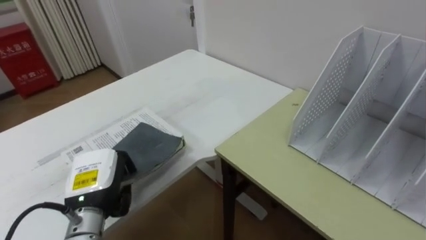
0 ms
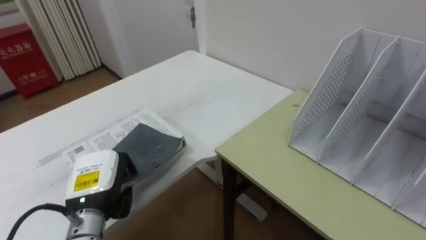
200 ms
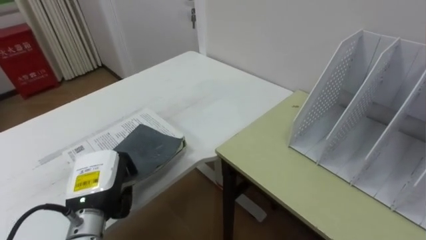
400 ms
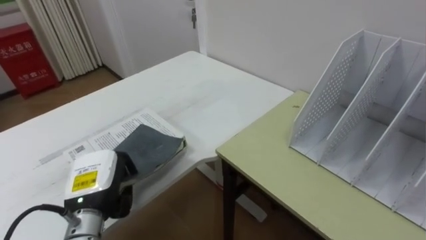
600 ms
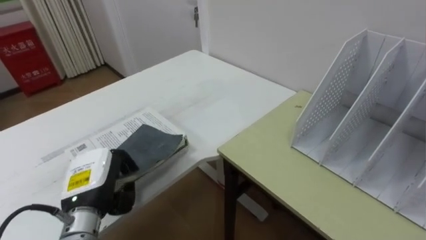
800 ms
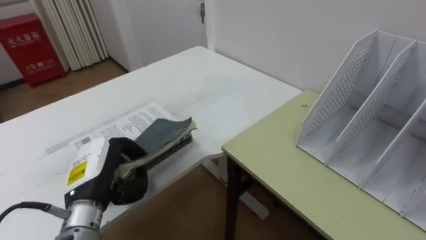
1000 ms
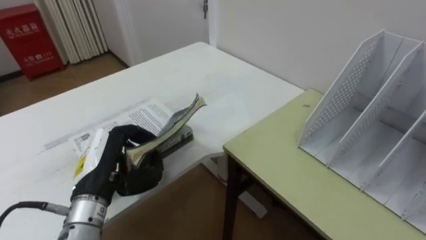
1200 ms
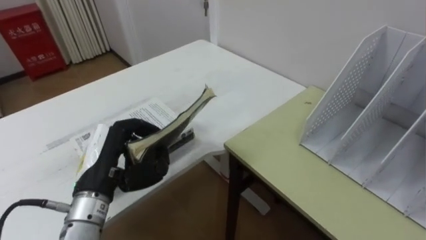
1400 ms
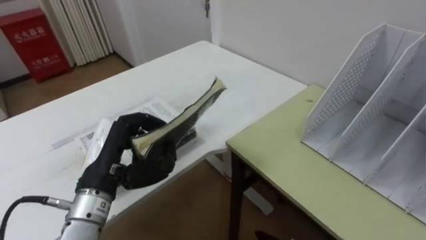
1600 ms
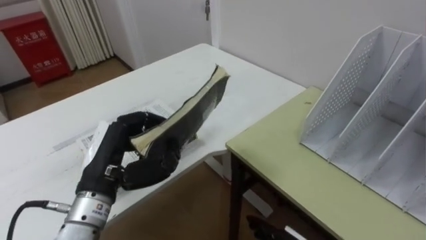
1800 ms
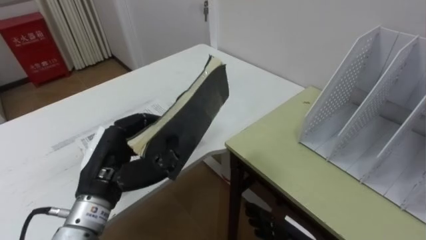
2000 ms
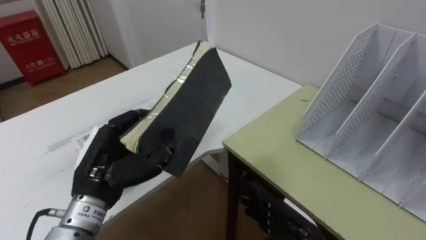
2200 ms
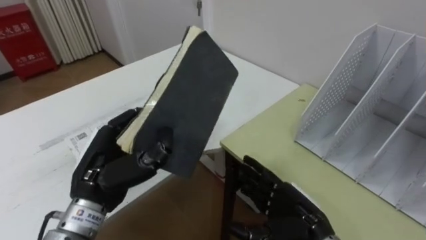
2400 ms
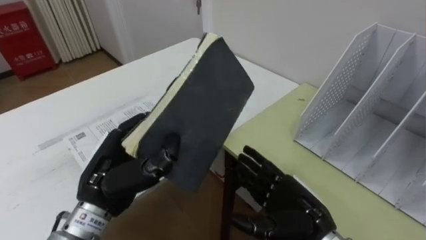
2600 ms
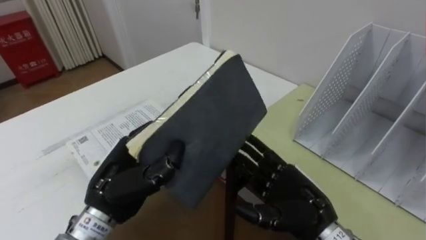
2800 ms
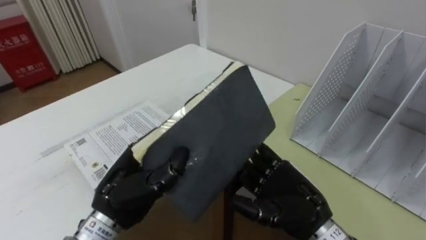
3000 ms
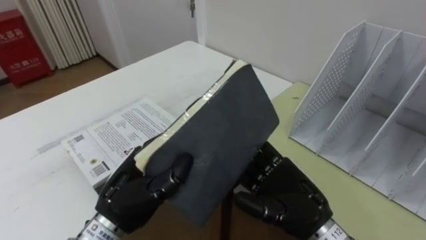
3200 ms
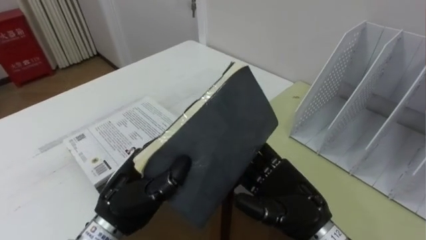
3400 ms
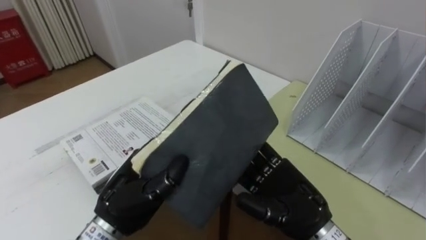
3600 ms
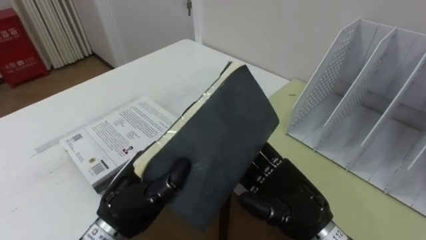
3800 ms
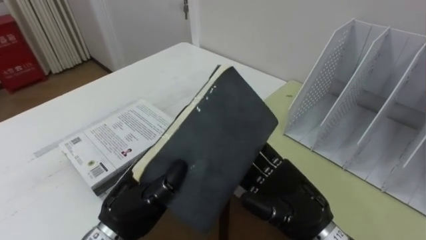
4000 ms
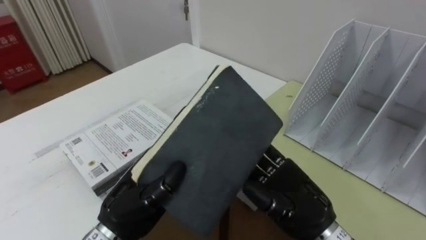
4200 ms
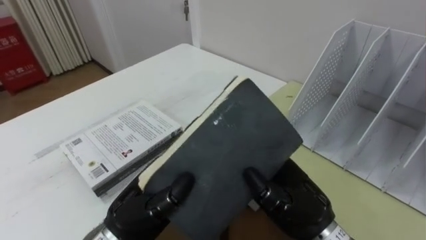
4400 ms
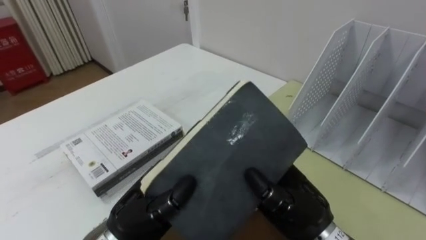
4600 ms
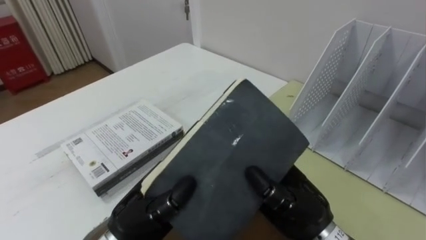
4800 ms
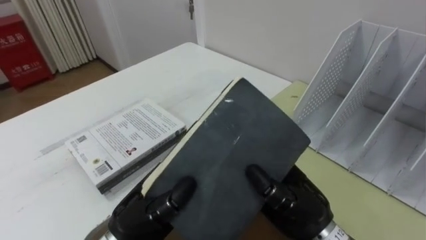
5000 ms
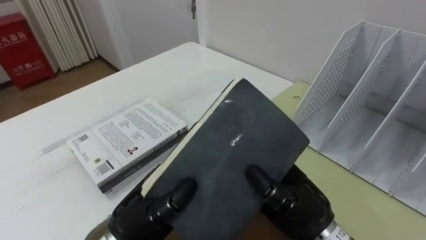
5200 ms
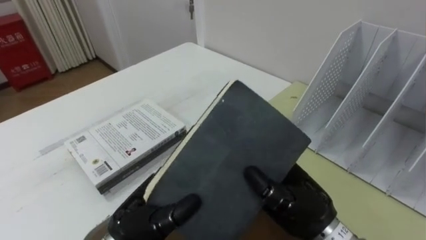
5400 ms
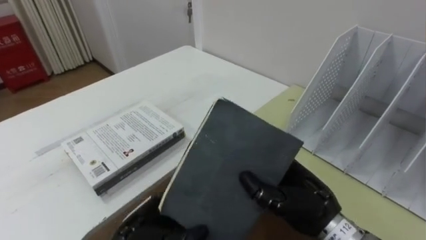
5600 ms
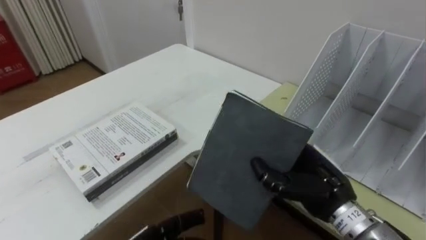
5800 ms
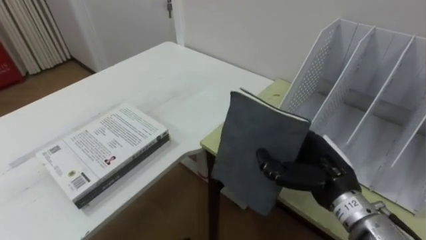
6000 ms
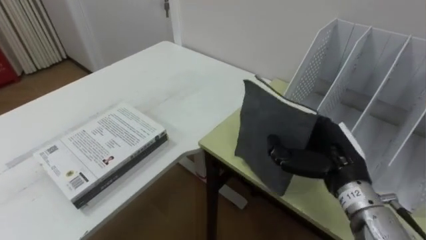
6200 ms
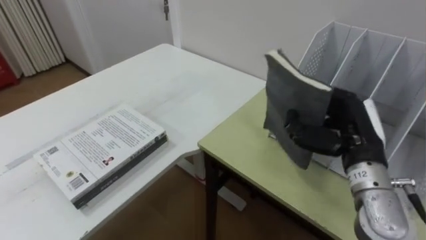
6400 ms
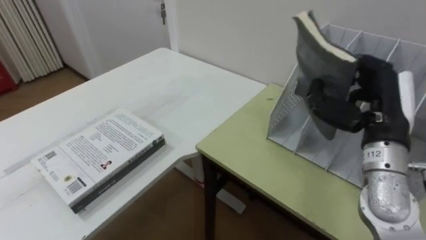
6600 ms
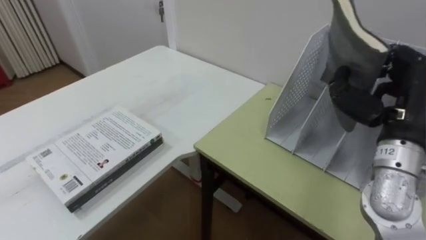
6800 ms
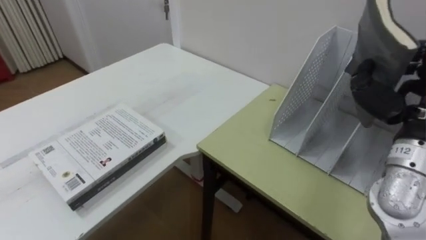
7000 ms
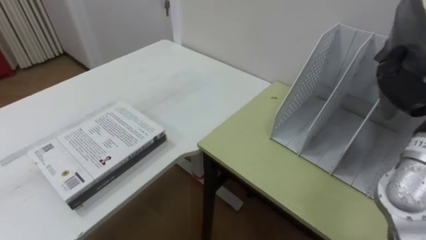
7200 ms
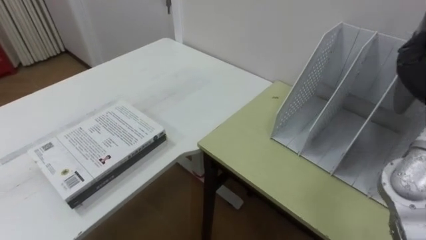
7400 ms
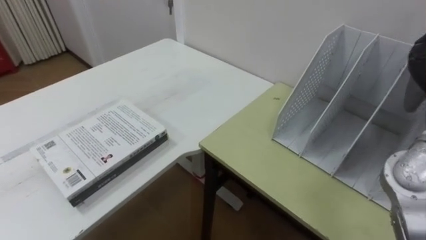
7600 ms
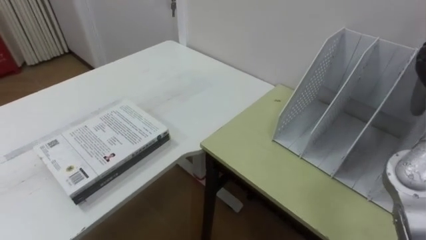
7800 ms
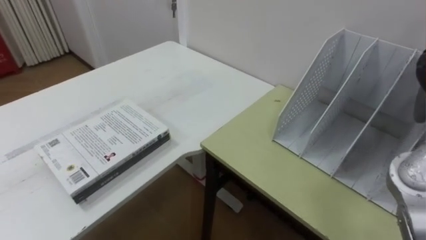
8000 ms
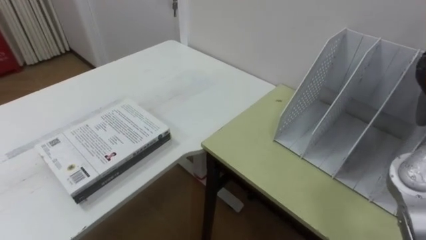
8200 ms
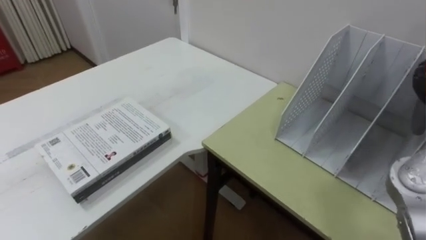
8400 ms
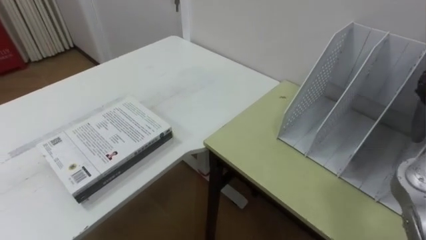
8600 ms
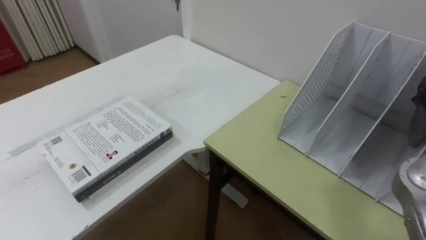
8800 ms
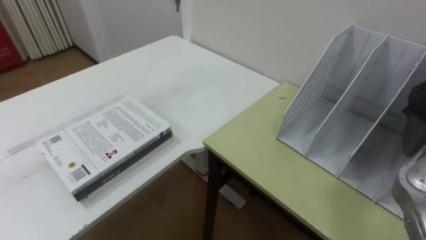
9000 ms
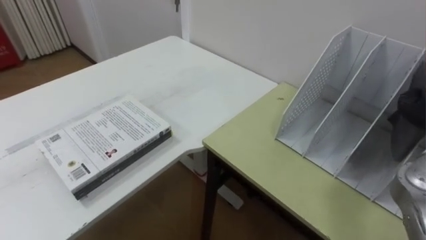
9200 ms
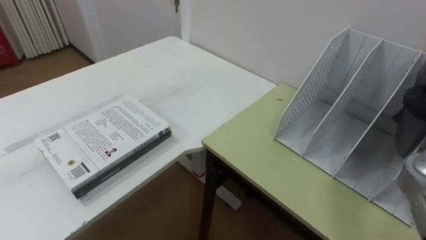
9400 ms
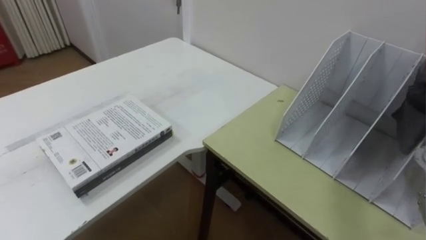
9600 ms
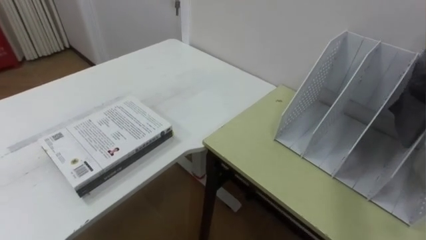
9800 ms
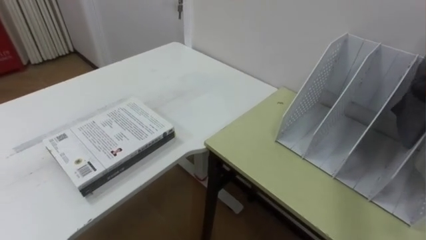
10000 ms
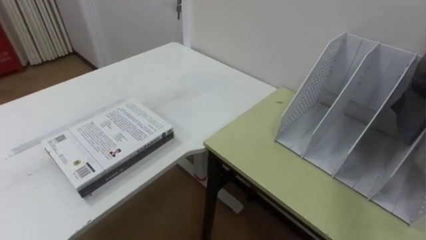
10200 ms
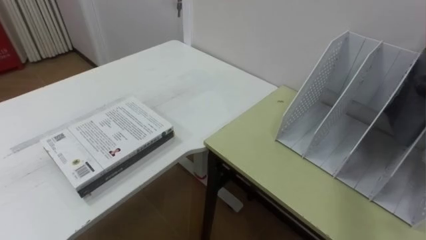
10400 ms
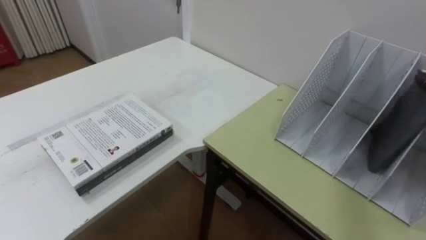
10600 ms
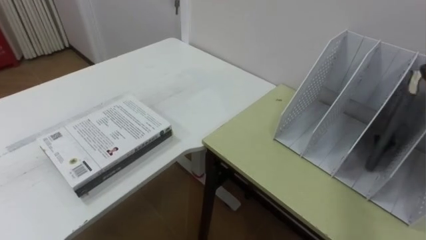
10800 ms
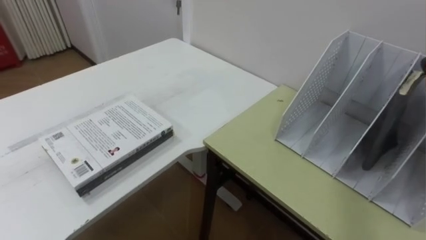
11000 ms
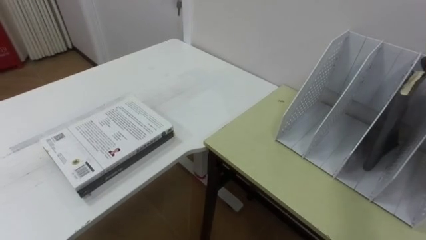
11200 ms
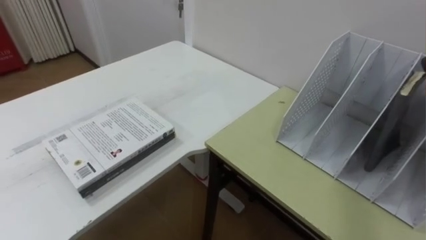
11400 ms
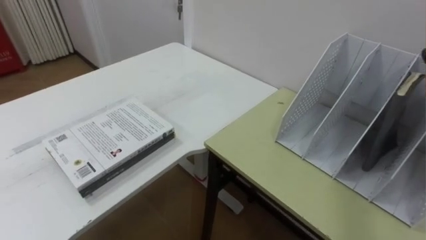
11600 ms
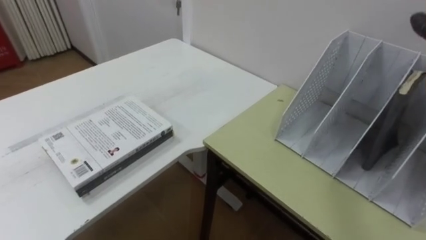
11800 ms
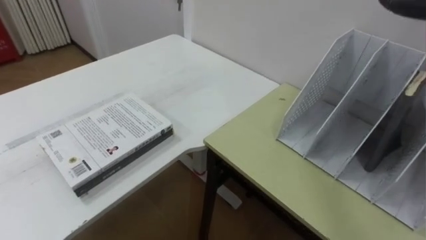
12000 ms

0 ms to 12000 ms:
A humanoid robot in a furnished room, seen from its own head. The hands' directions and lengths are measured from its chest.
Task of the whole recording: Put the books on the table onto the bookshelf.
0 ms to 1600 ms: The left hand travels upward by about 5 cm.
3000 ms to 4400 ms: The right hand closes its fingers.
4400 ms to 6000 ms: The right hand goes roughly 5 cm to the right.

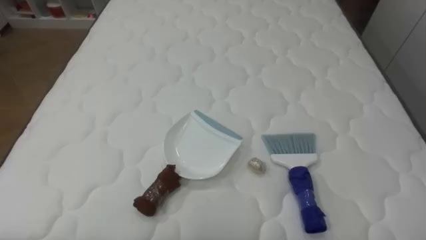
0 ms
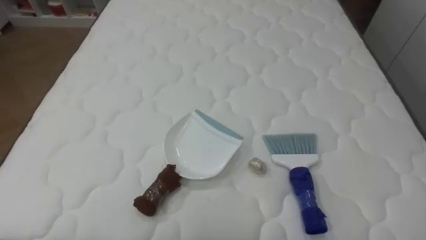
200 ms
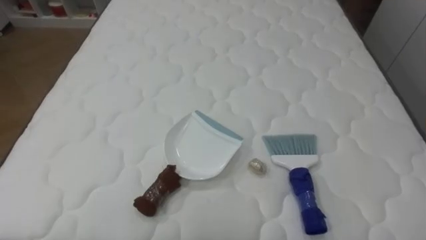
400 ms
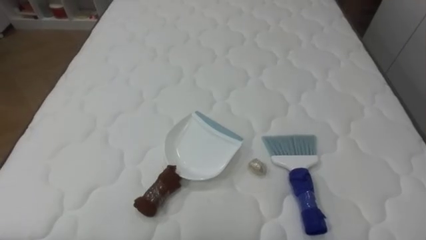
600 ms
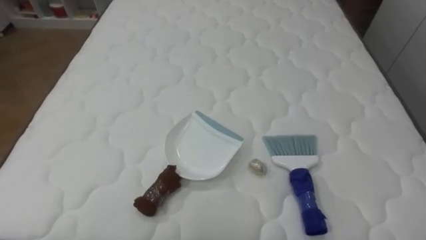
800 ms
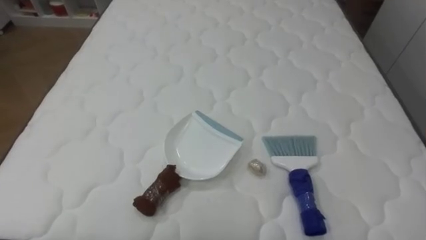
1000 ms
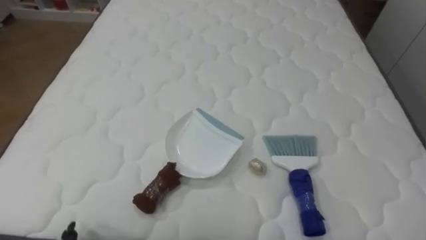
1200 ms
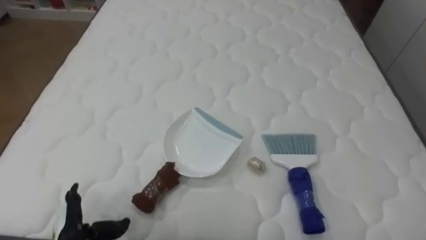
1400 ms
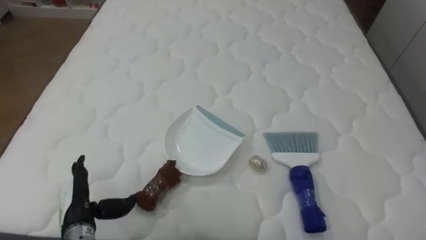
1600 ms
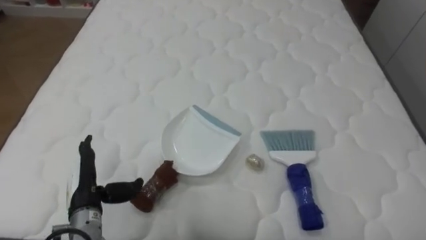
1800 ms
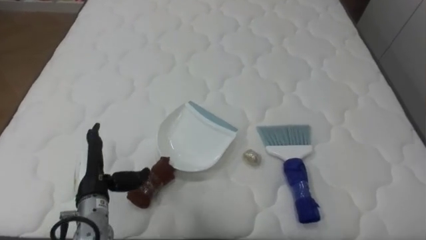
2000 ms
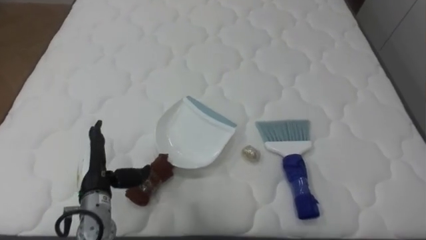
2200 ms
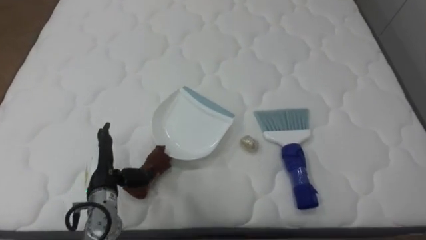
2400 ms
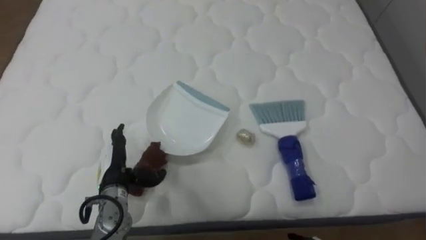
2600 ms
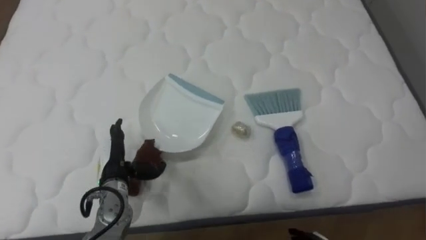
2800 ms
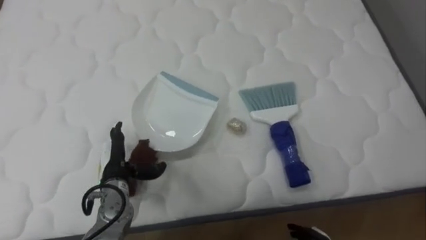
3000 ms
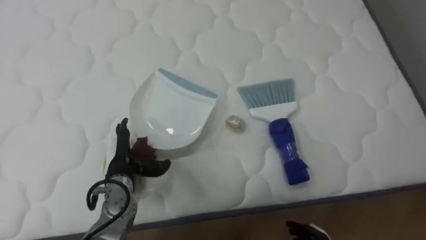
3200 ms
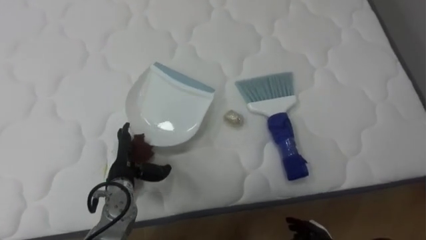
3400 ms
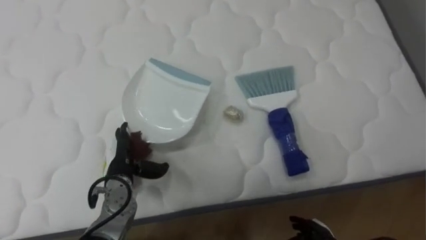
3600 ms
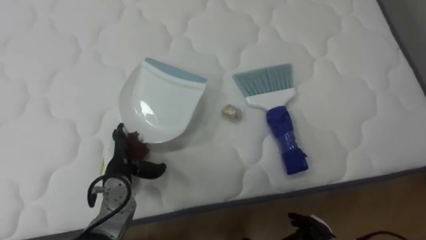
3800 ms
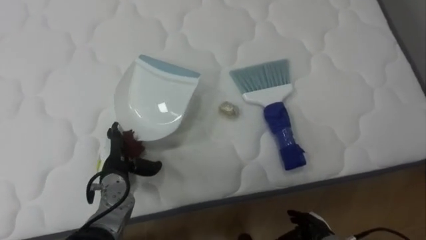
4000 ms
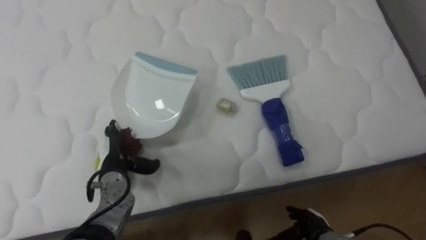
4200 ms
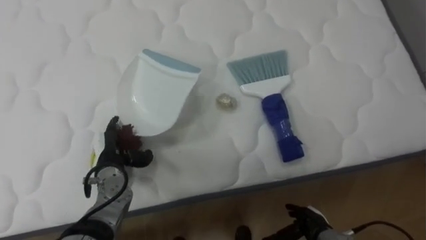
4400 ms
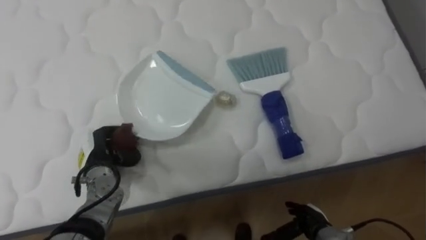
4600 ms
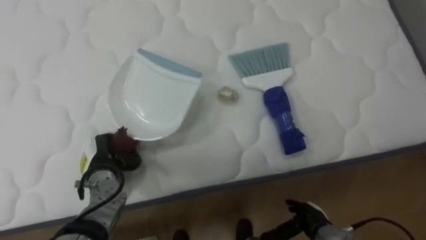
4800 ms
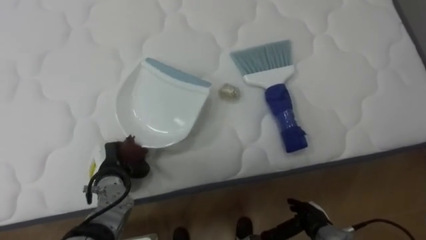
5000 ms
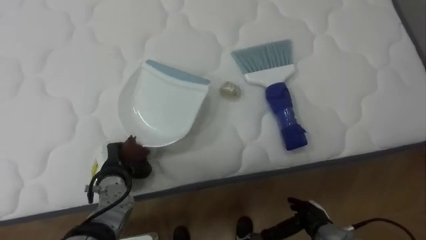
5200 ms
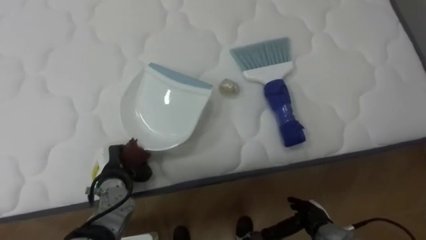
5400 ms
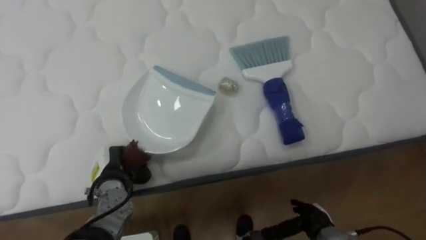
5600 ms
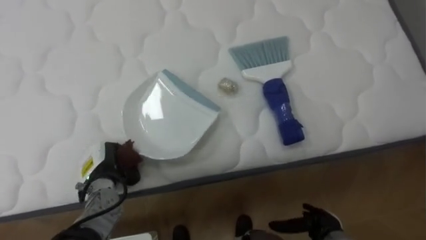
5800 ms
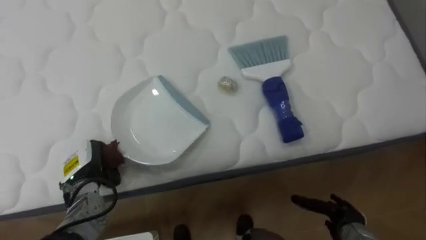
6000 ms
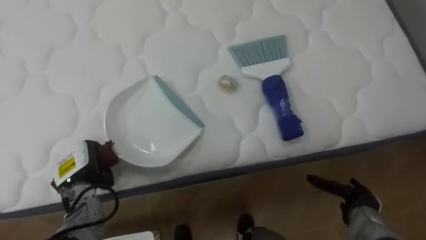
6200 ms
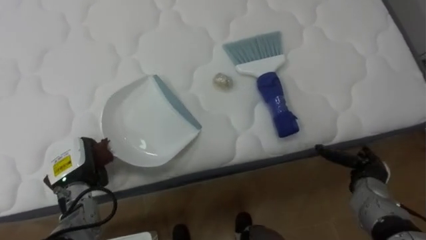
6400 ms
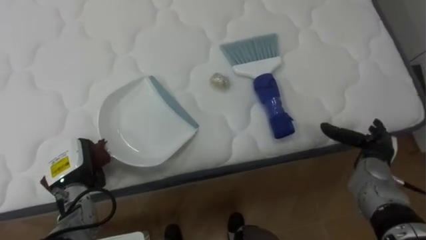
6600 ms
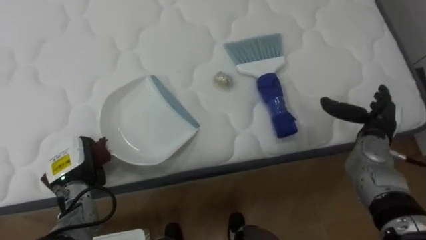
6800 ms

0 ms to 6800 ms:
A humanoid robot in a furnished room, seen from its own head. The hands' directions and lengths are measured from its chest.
Task of the whole recording: Pick up the brush on your right and the dustpan on your left. Use the brush to sweep the crumpled paper on the bed into the dustpan, then turn left and empty it into the basket.
1400 ms to 2800 ms: The left hand shifts roughly 15 cm forward, to the right and upward.
4000 ms to 5400 ms: The left hand closes up.
5400 ms to 6800 ms: The right hand goes about 25 cm upward, forward and to the right. The left hand moves to the left, about 5 cm.
